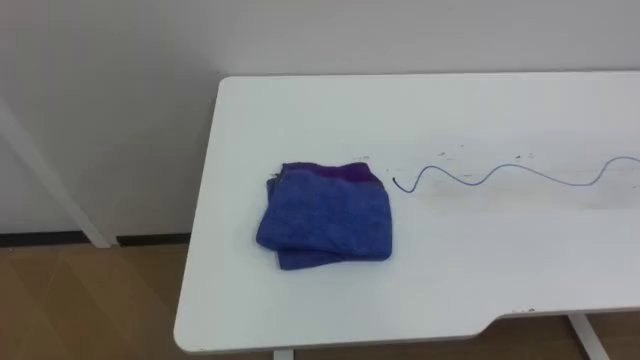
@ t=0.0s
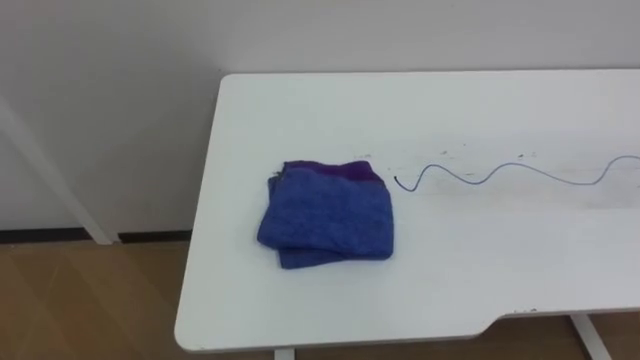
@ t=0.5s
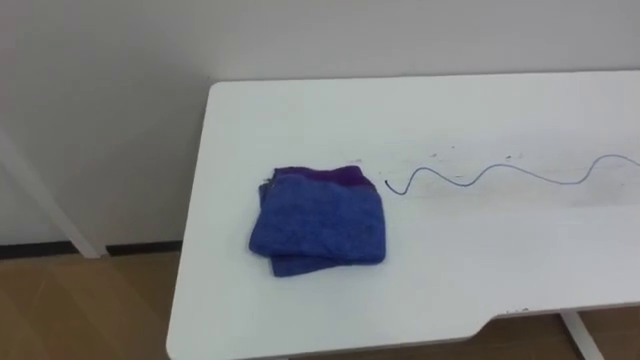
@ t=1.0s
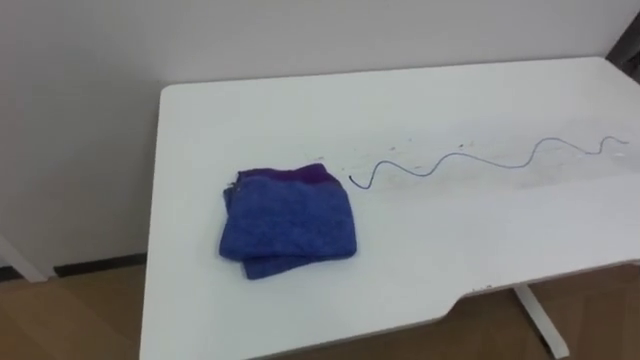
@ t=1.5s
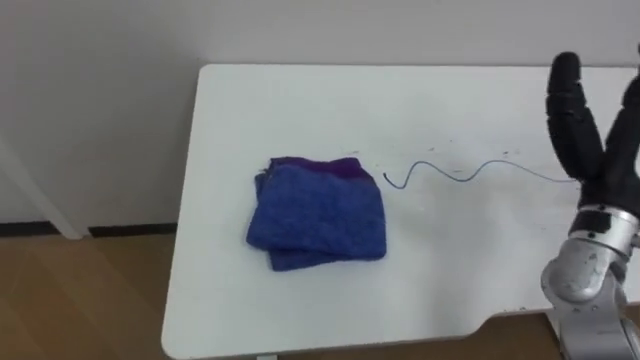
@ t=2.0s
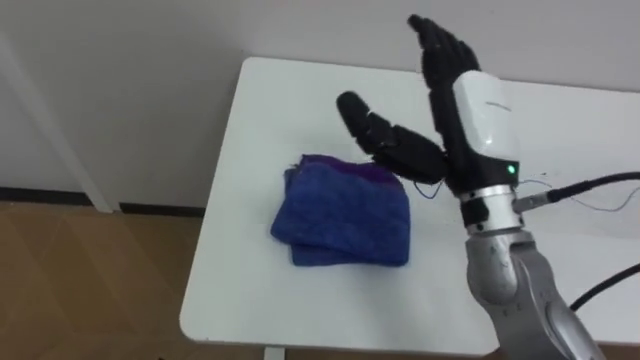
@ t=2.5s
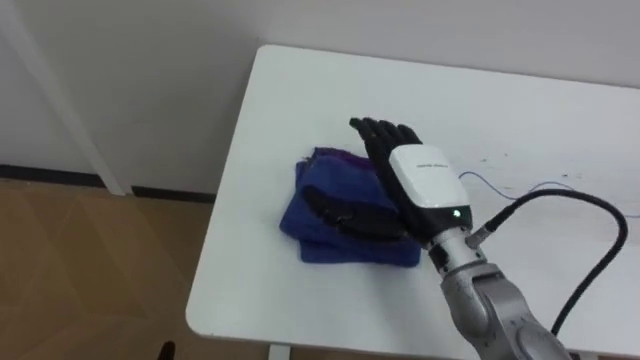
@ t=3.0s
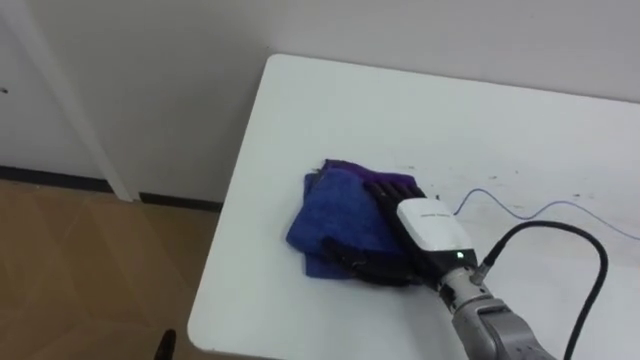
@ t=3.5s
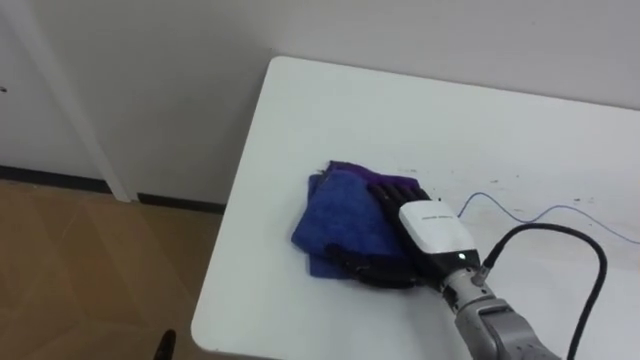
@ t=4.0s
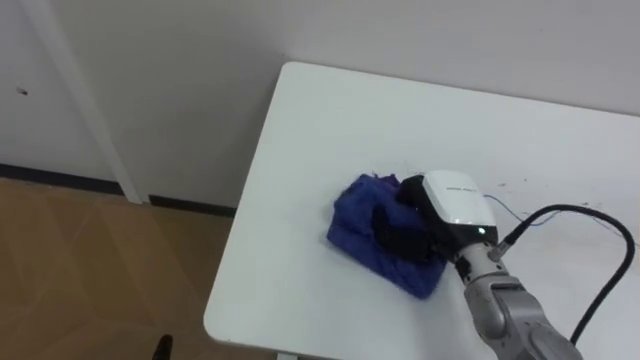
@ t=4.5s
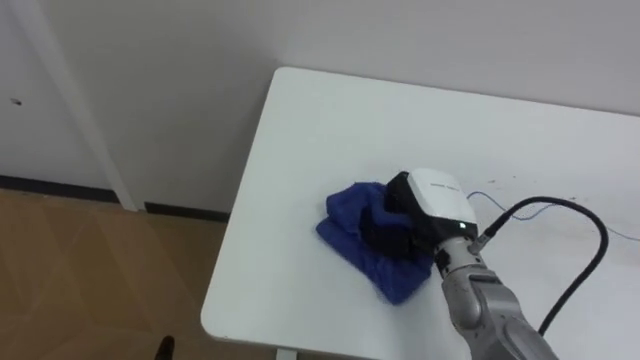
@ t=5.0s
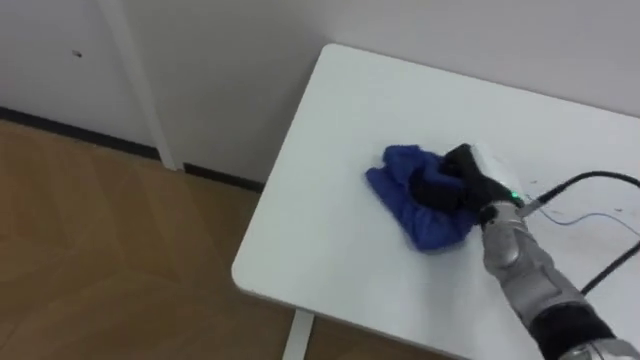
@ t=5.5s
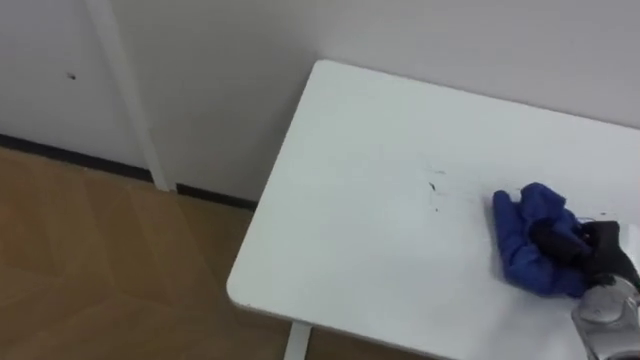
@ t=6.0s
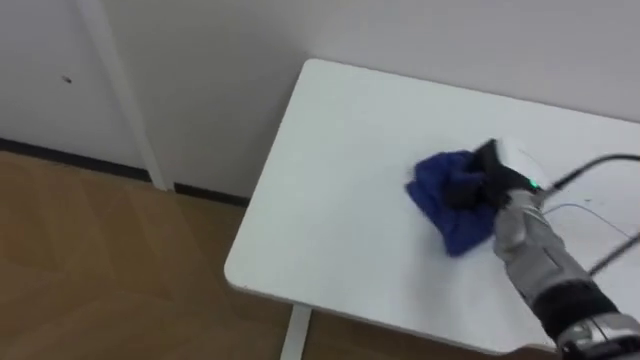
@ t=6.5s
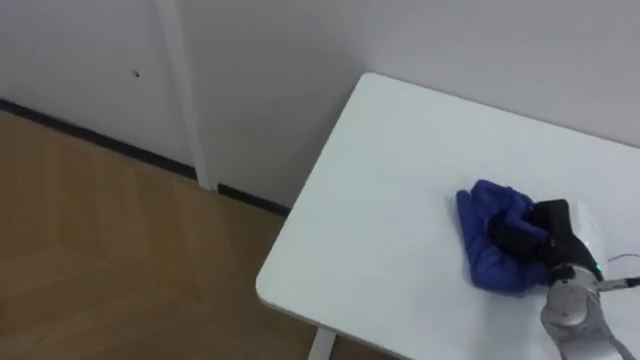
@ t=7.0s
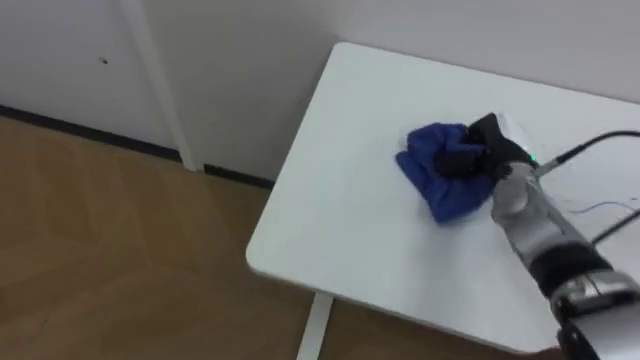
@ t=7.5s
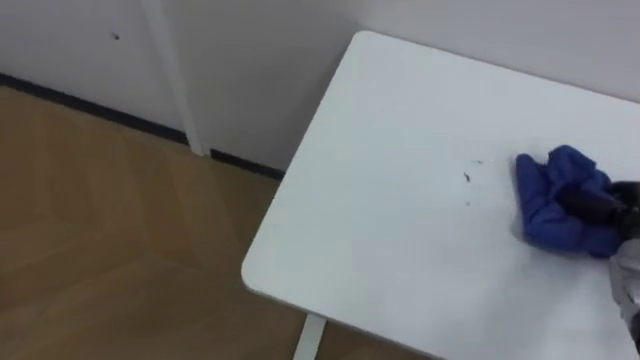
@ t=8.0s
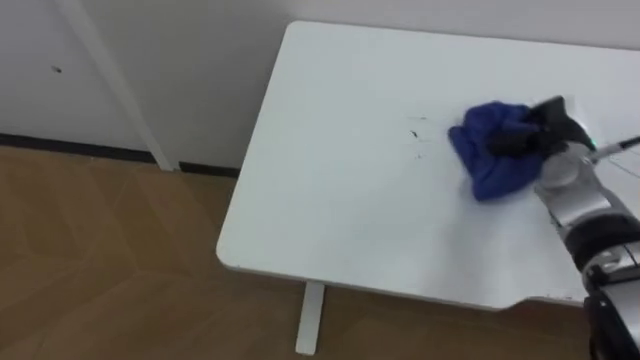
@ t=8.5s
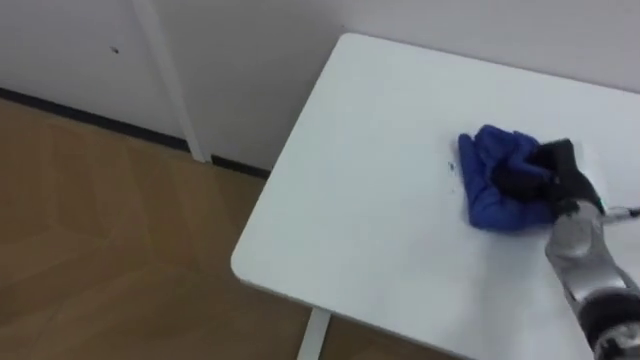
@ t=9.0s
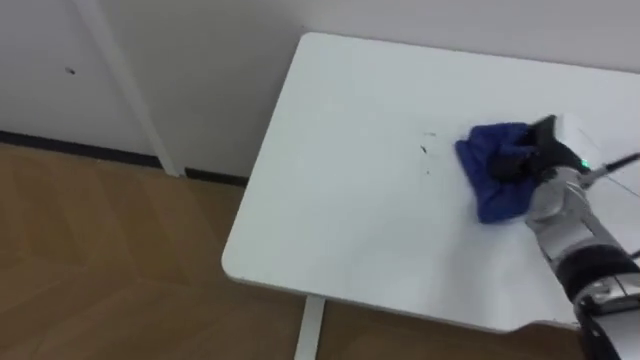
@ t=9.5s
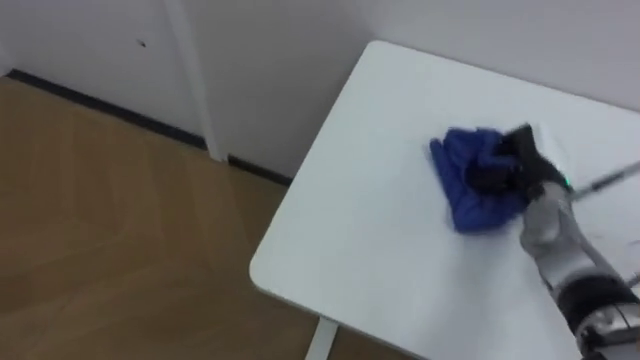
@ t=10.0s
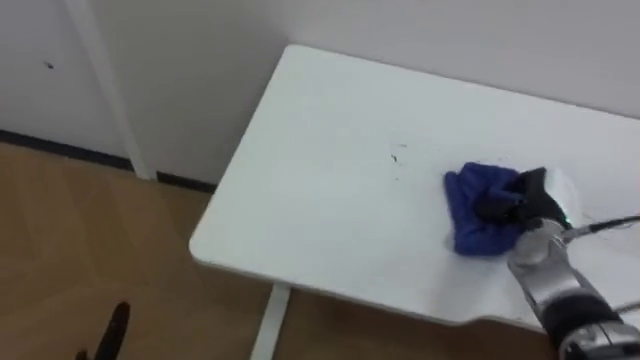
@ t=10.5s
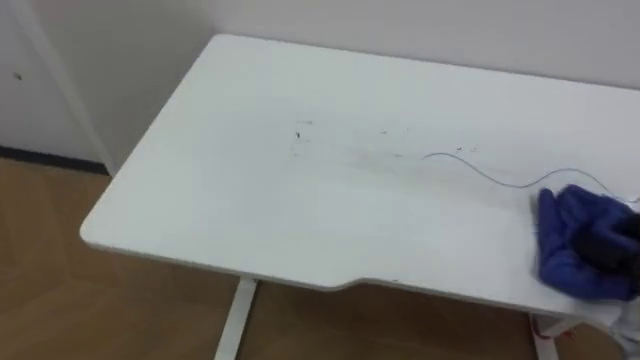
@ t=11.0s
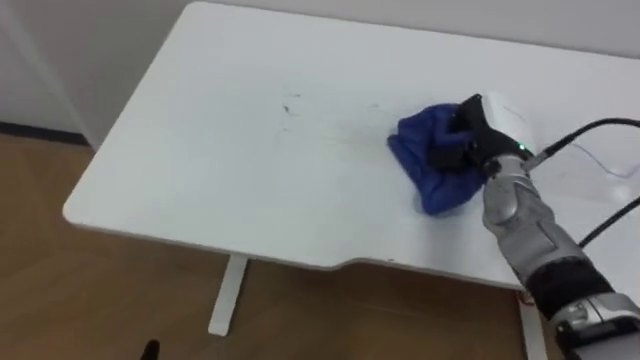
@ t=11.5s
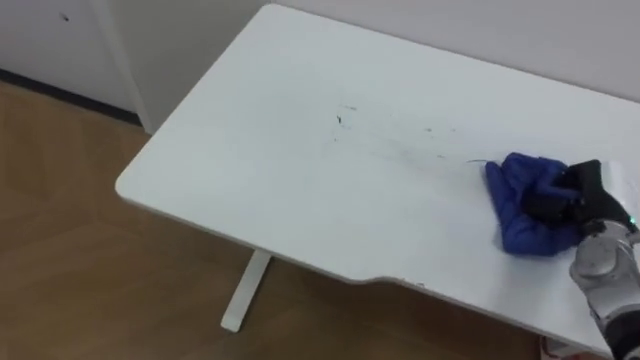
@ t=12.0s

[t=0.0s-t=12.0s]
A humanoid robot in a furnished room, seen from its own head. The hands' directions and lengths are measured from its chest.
Task of the whole recording: Wipe the blue pen marks off the table with the rag.
t=2.0s to t=4.0s: The right hand shifts some 20 cm to the left and downward.
t=4.0s to t=6.0s: The right hand is displaced to the right by roughly 25 cm, and closes its fingers.
t=6.0s to t=8.0s: The right hand swings left and right, approximately 15 cm each way, with 3 reversals.
t=8.0s to t=10.0s: The right hand is displaced to the left and forward by approximately 15 cm.

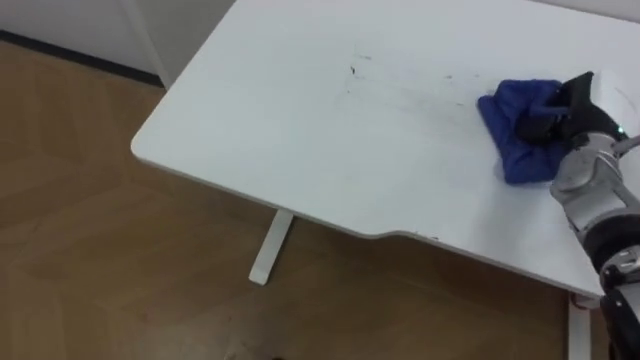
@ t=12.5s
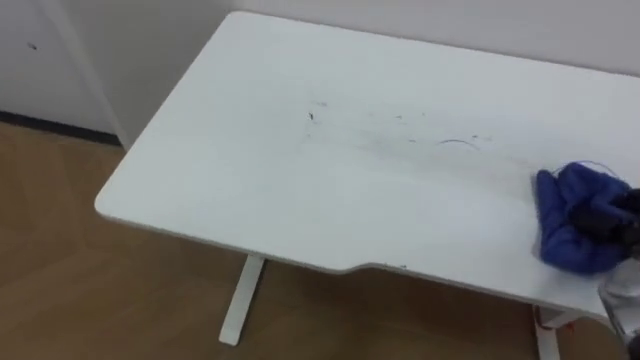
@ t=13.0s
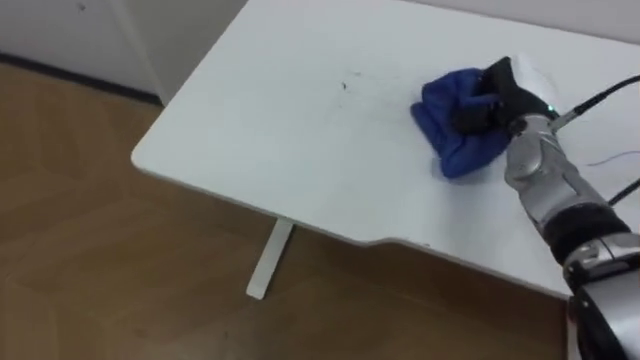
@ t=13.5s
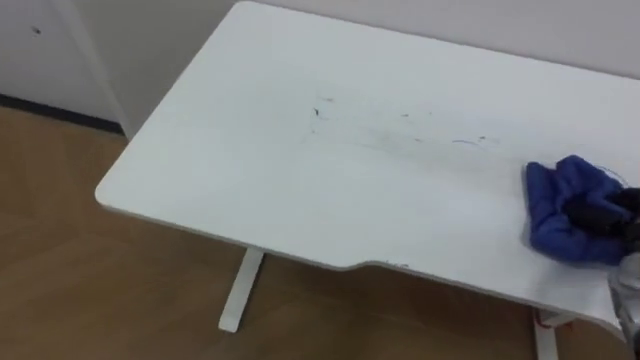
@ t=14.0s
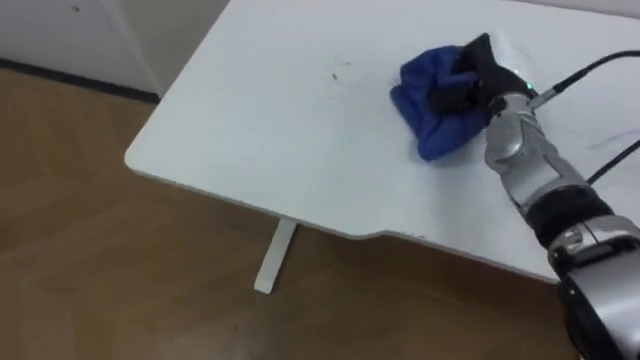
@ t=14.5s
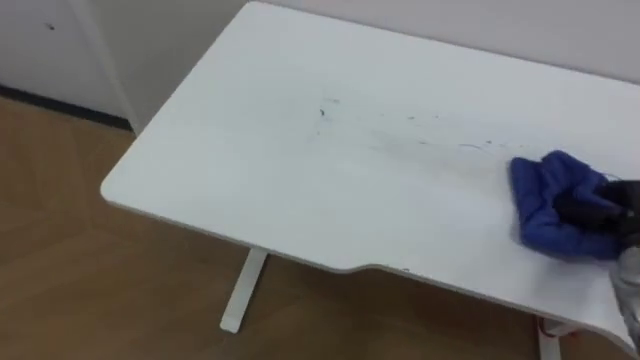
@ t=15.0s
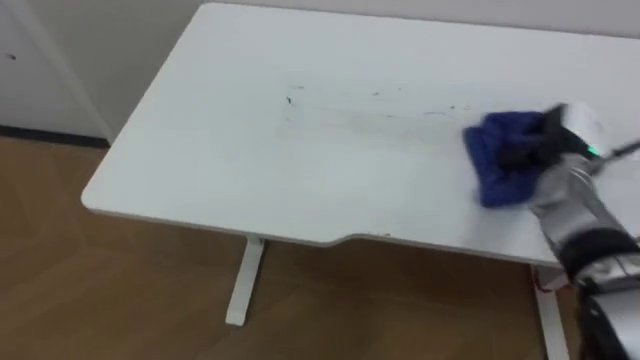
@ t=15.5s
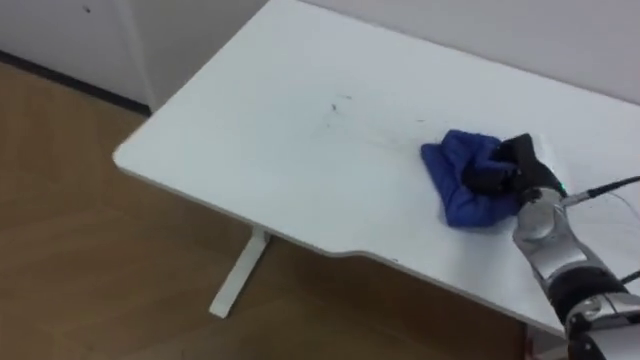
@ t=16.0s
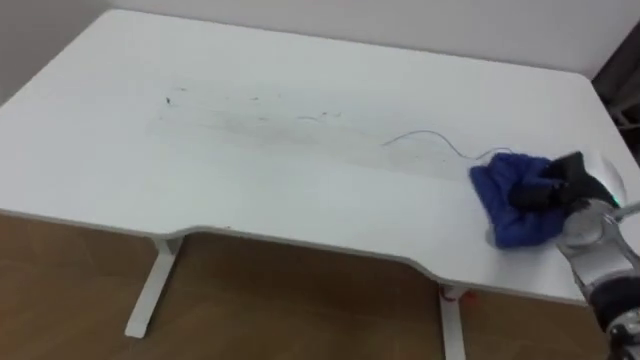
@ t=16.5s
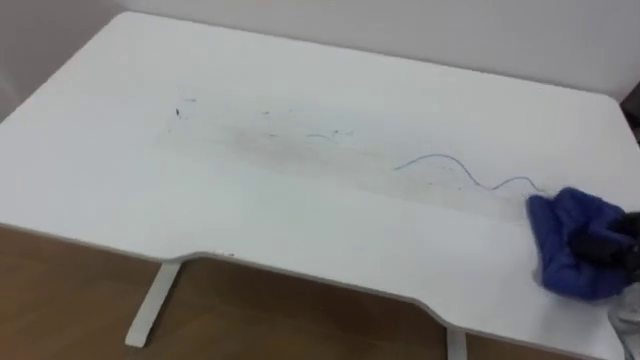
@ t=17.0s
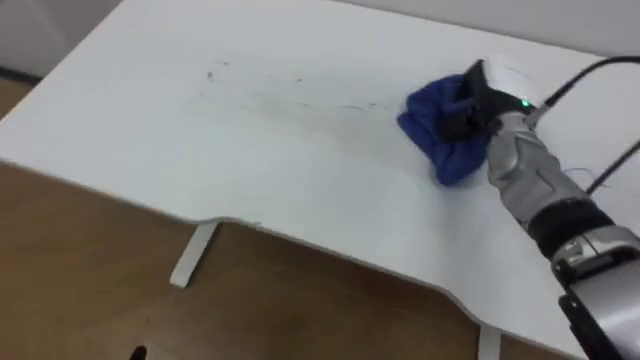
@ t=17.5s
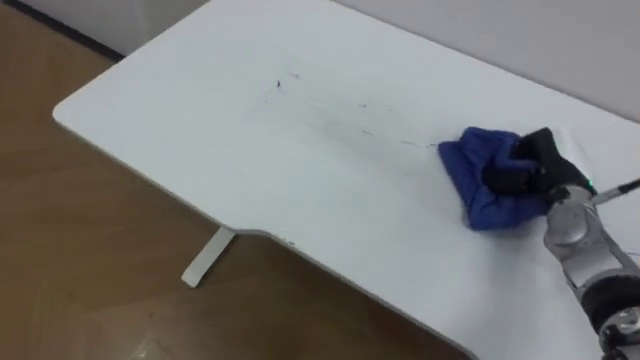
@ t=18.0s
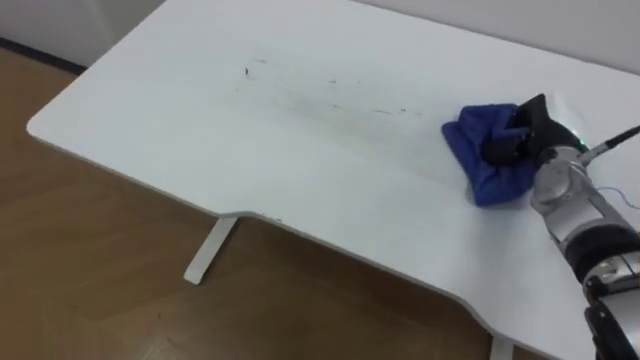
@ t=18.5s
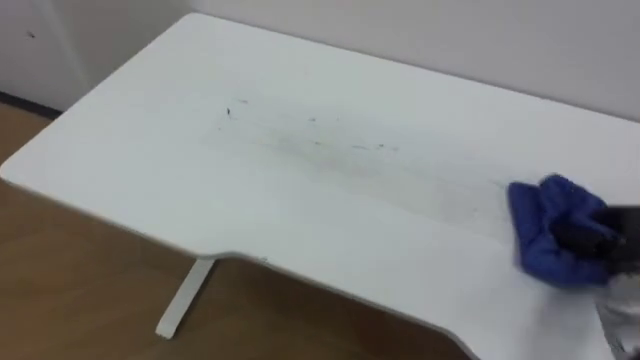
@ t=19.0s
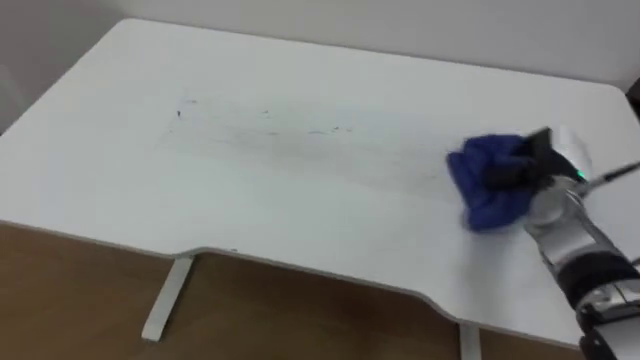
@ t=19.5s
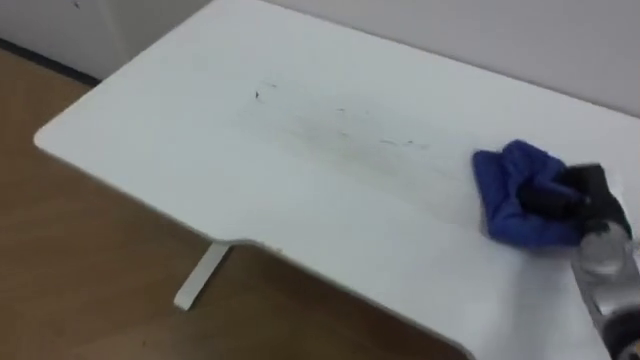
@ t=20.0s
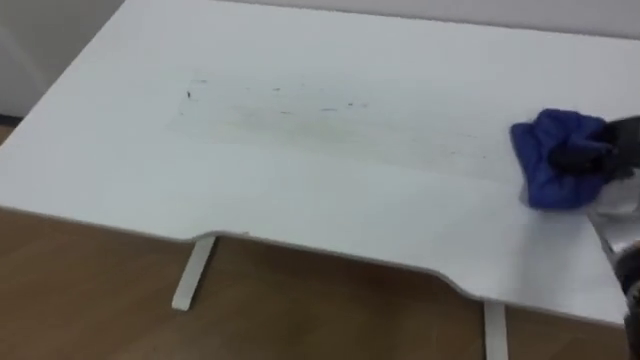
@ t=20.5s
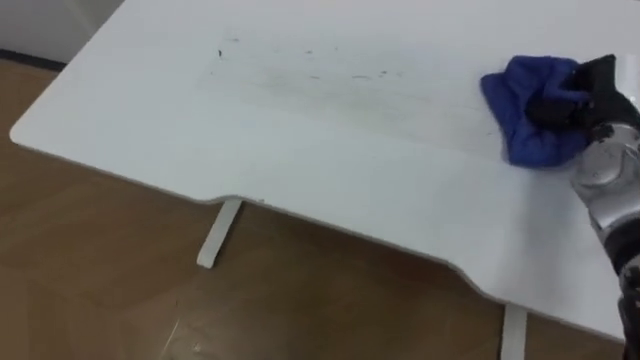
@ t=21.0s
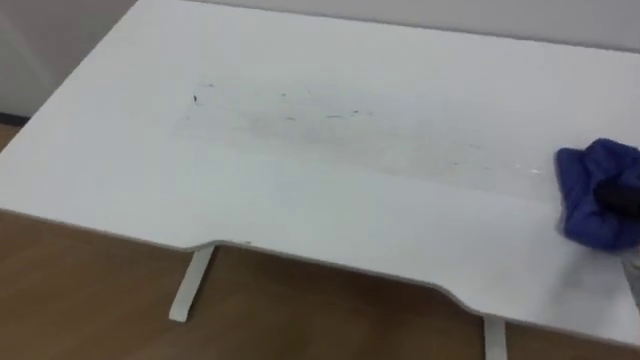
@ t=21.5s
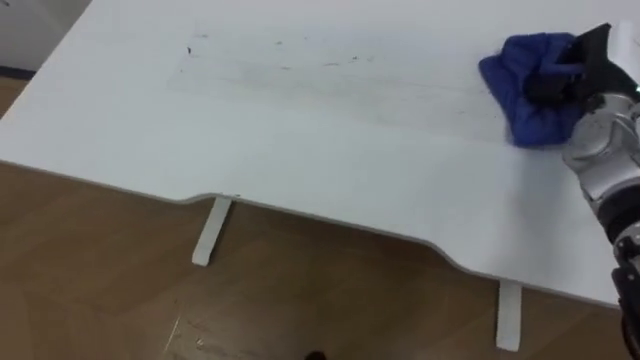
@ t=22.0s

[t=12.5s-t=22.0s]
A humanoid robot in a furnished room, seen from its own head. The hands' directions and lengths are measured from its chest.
Task of the whole recording: Wipe the blue pen marks off the table with the rag.
t=16.5s to t=18.0s: The robot faces approximately 15 degrees further to its left.
